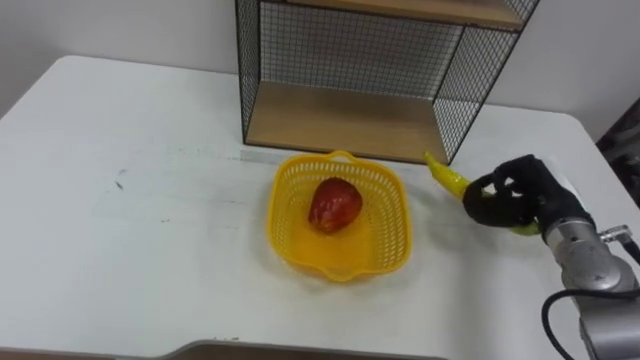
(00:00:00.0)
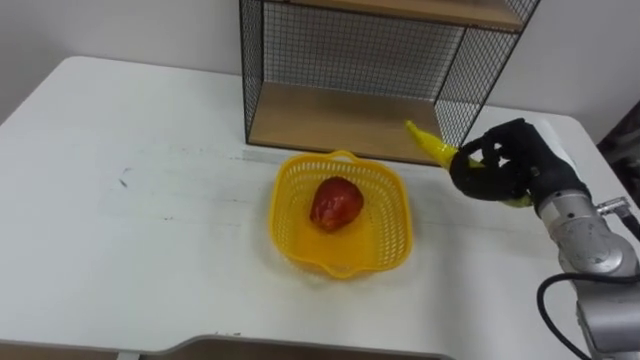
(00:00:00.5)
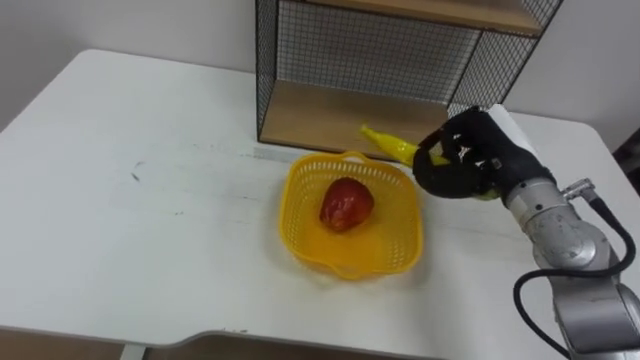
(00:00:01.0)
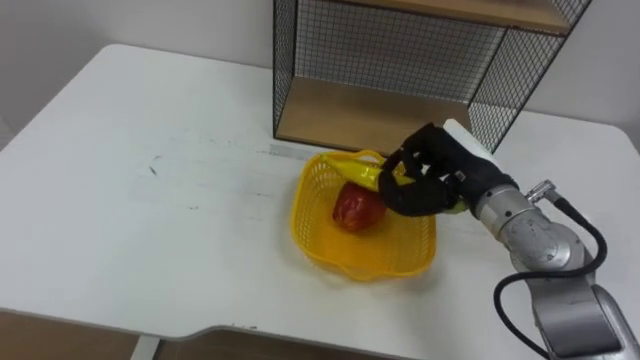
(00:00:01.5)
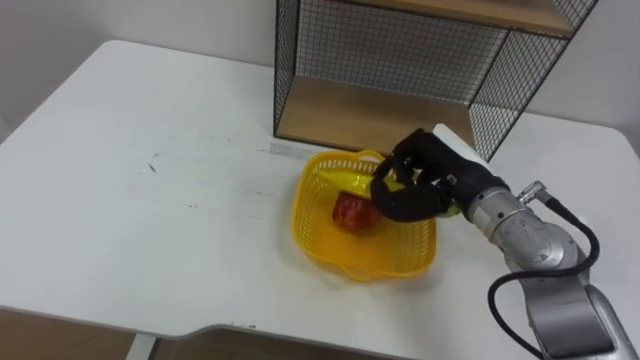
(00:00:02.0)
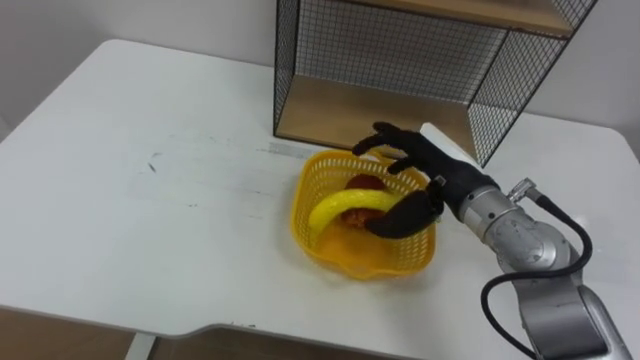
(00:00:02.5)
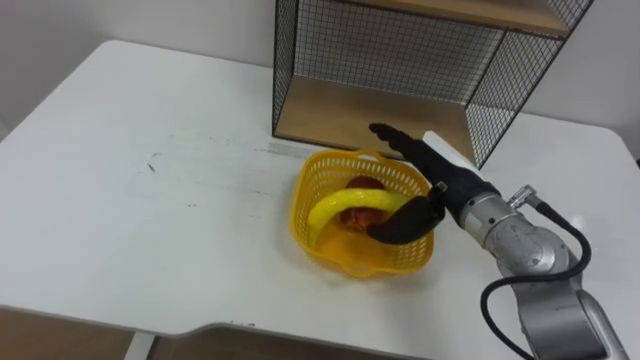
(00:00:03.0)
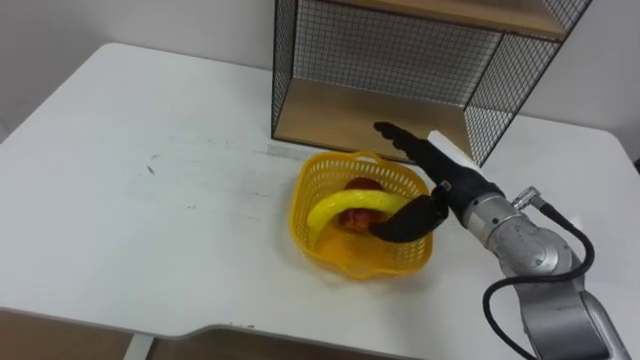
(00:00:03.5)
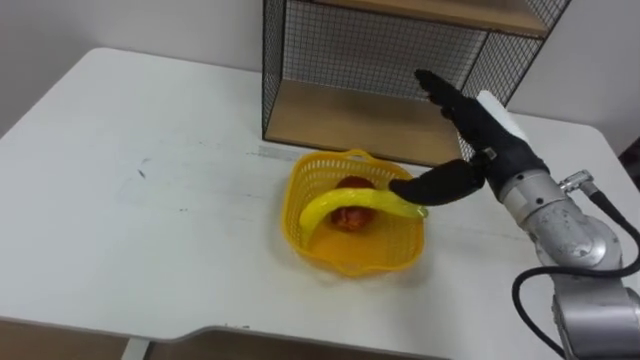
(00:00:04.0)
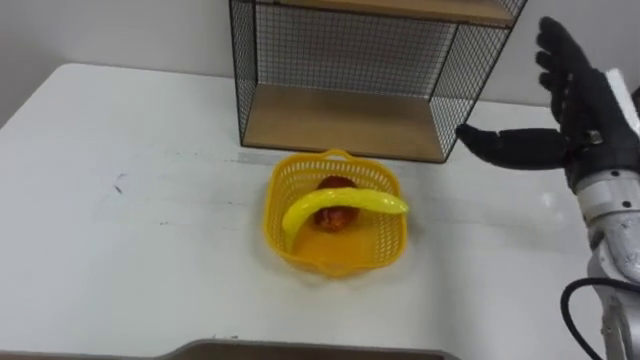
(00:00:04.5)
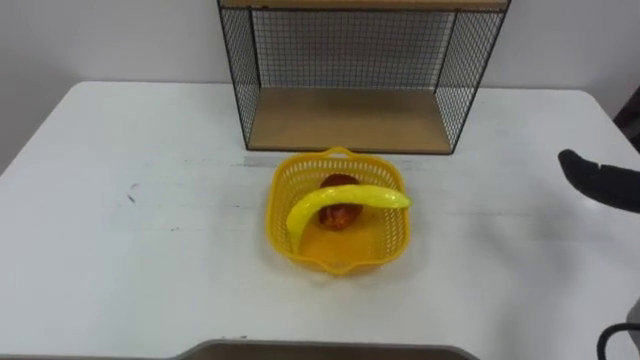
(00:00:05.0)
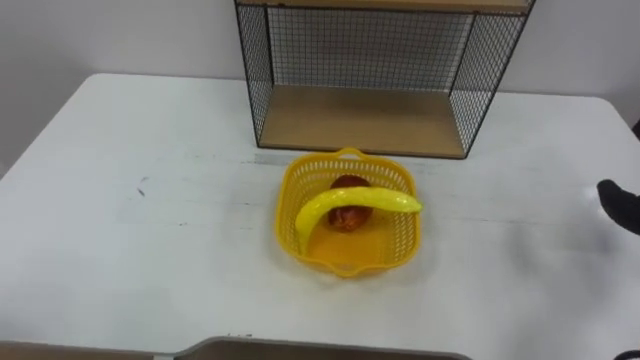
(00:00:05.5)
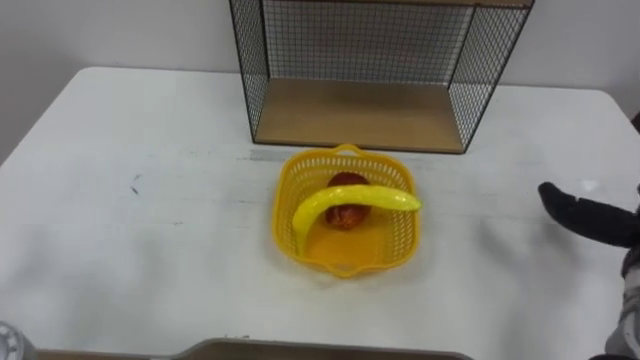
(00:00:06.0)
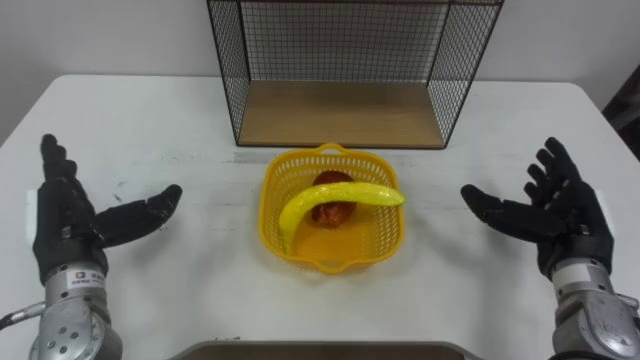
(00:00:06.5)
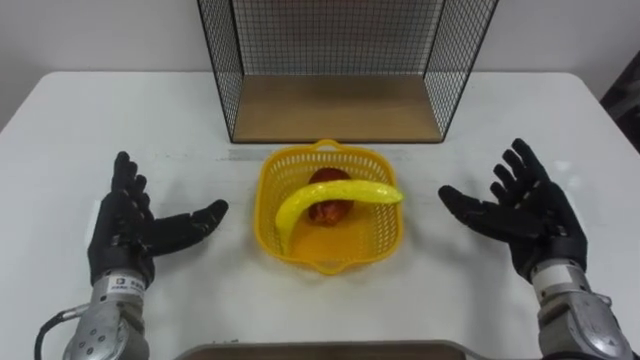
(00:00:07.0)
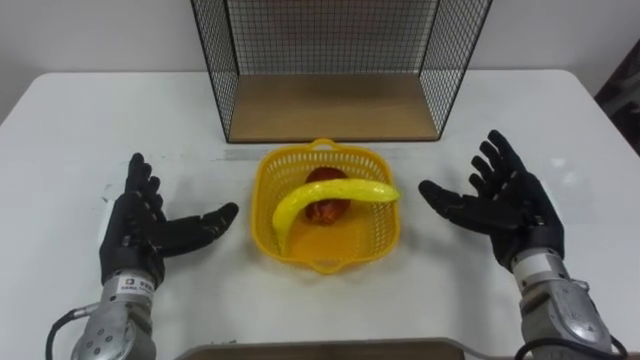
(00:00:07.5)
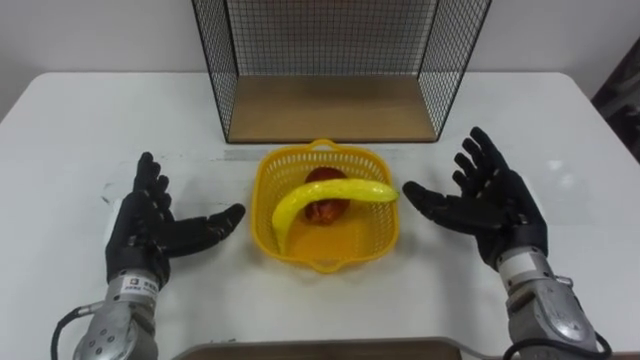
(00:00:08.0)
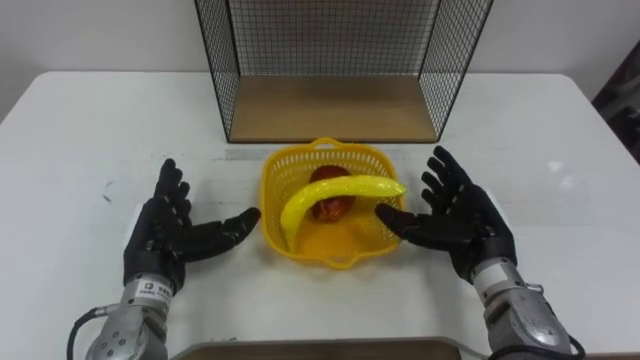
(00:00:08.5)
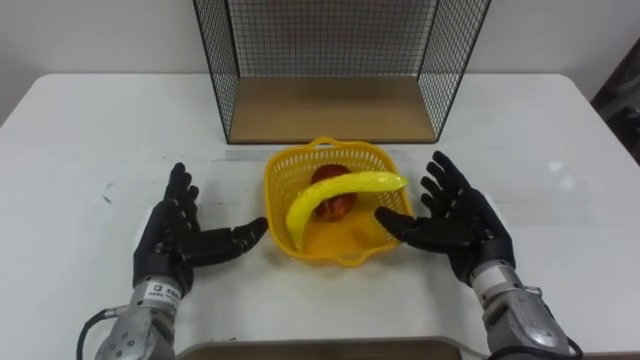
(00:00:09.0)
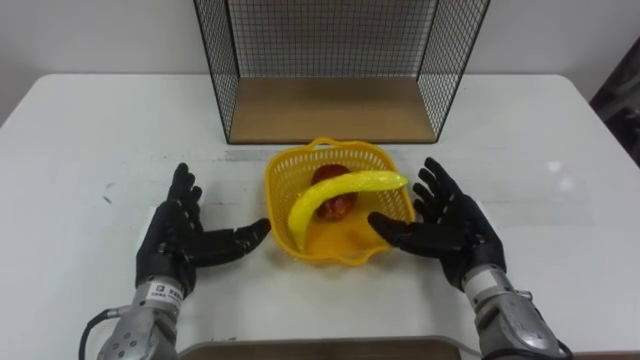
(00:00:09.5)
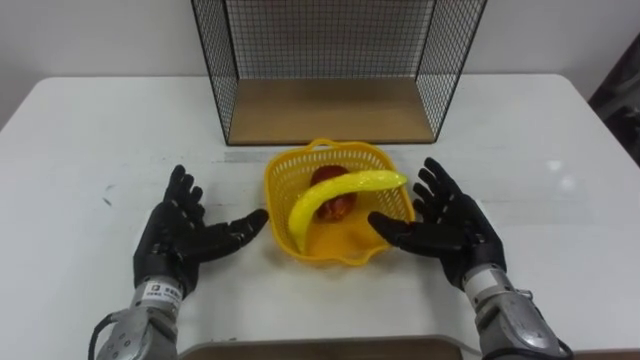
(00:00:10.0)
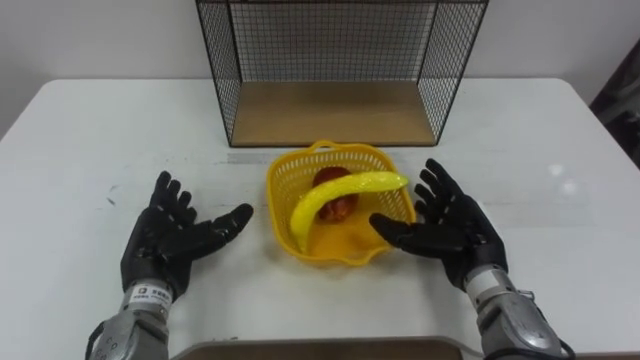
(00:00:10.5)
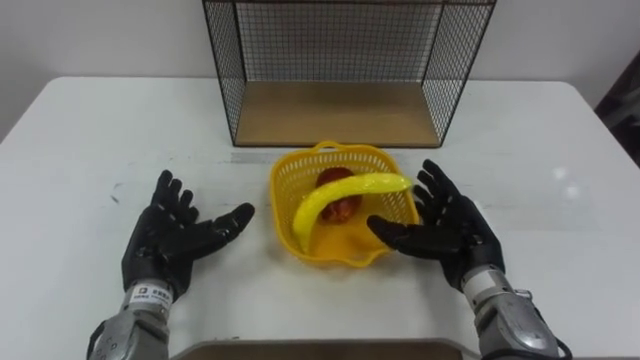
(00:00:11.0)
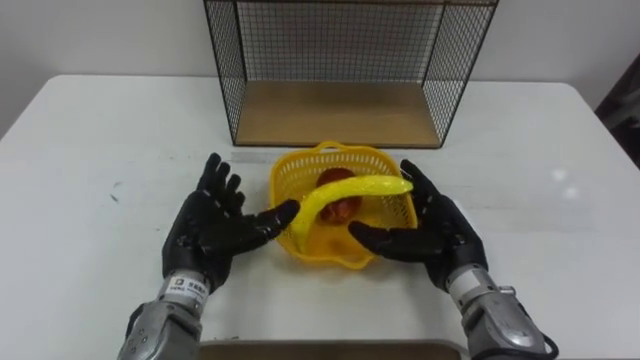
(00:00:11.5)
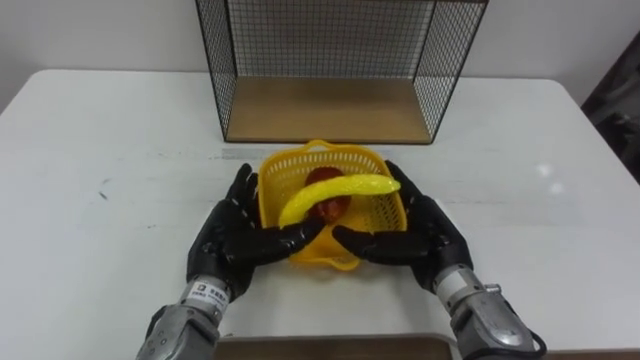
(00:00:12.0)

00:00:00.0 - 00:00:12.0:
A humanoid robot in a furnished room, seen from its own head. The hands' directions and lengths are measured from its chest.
Task of the whole recording: Put the fruit on the table into the basket, then place the basket on the shelf.
00:00:00.0 - 00:00:02.0: The right hand shifts approximately 15 cm to the left and upward.
00:00:02.0 - 00:00:04.0: The right hand changes place by roughly 5 cm, and opens.
00:00:08.0 - 00:00:10.0: The right hand ends up approximately 5 cm from where it was.
00:00:10.0 - 00:00:12.0: The left hand travels to the right by roughly 5 cm.

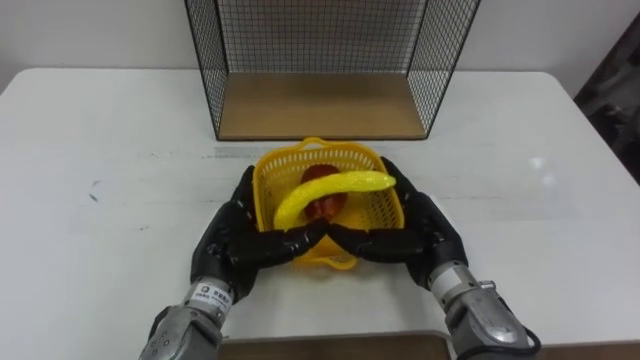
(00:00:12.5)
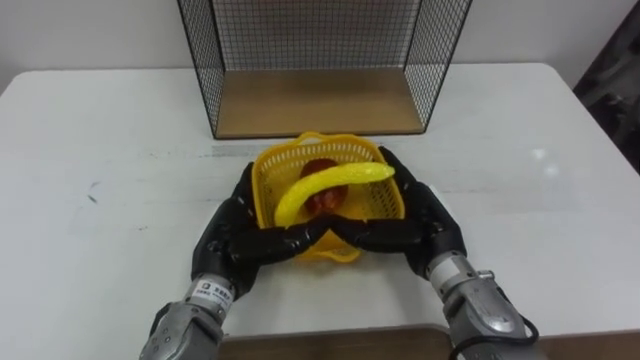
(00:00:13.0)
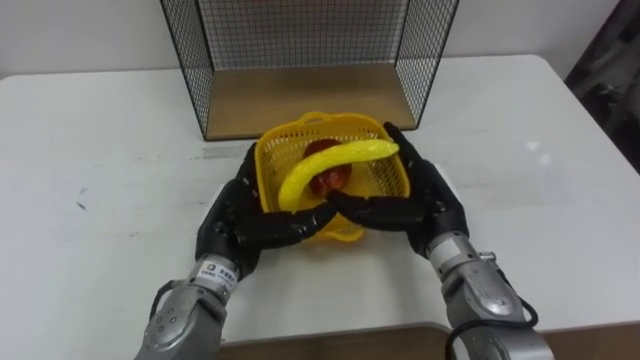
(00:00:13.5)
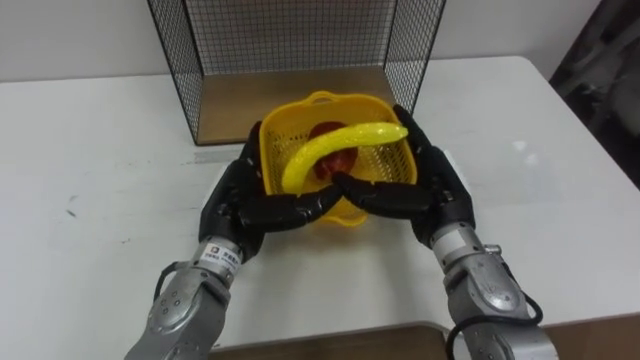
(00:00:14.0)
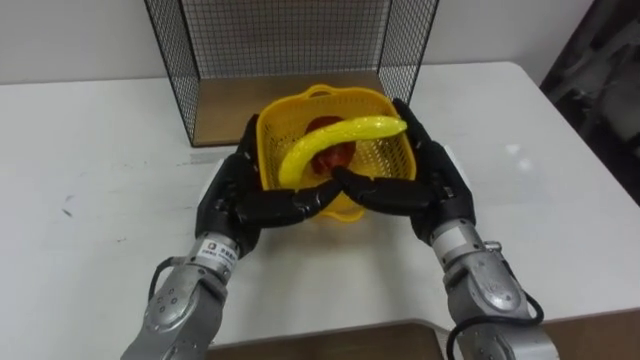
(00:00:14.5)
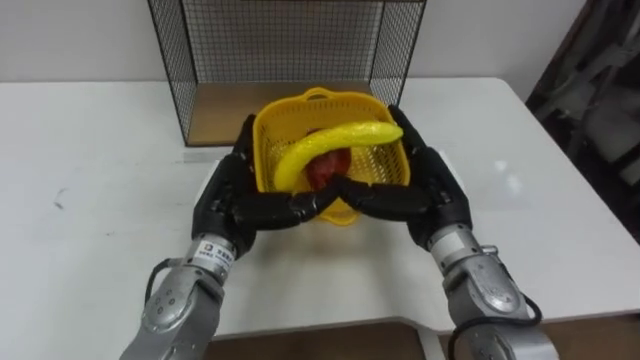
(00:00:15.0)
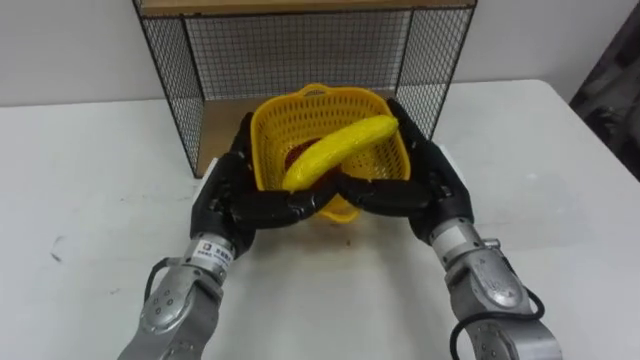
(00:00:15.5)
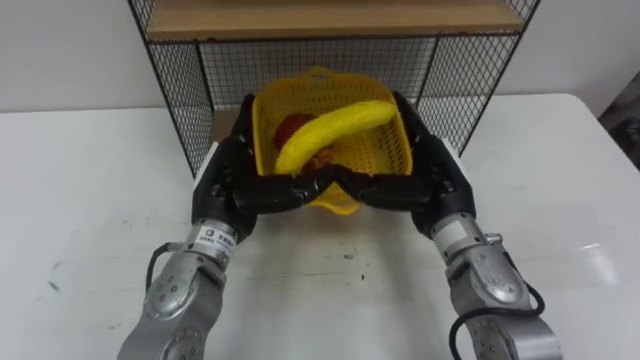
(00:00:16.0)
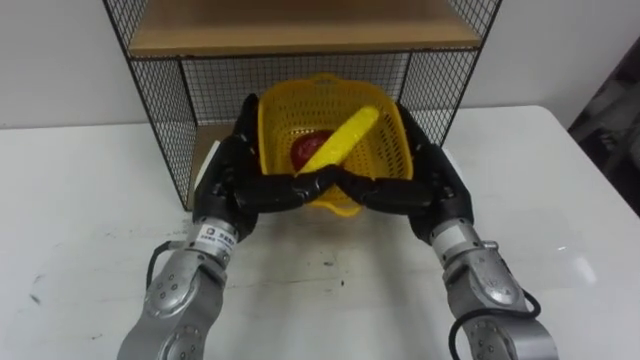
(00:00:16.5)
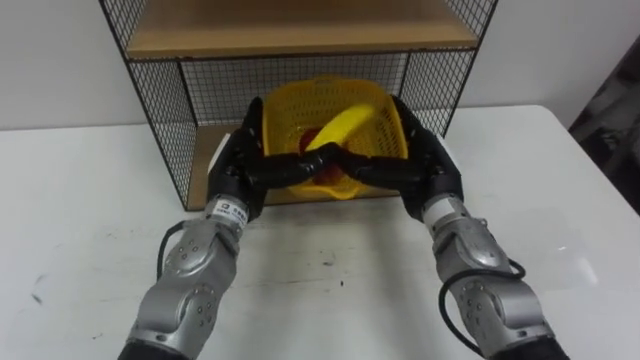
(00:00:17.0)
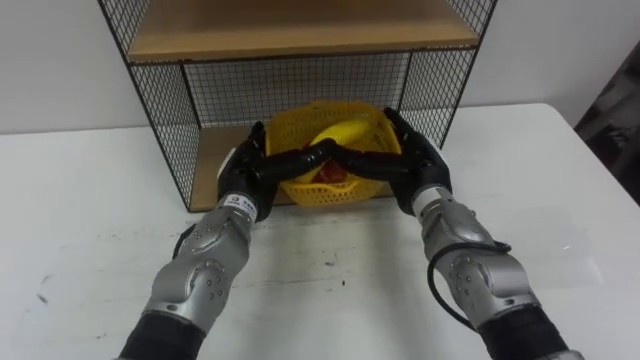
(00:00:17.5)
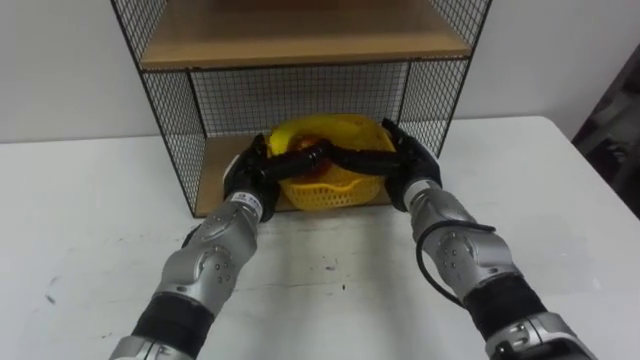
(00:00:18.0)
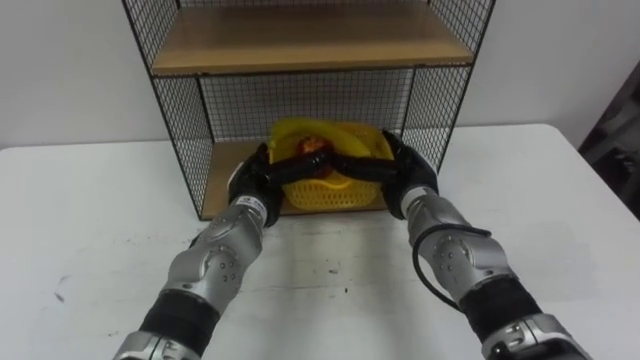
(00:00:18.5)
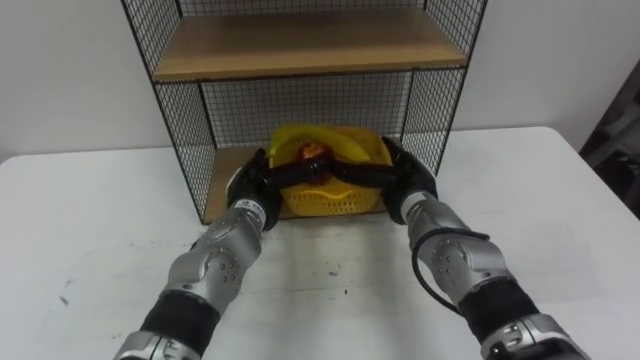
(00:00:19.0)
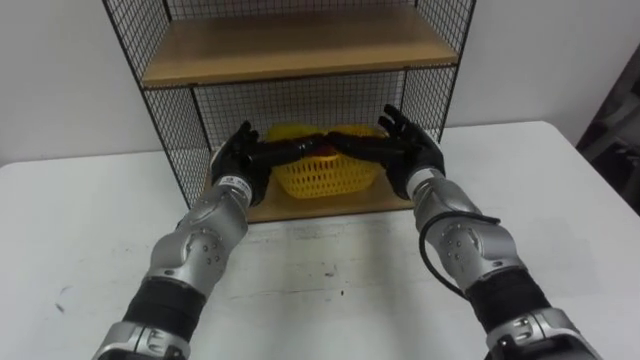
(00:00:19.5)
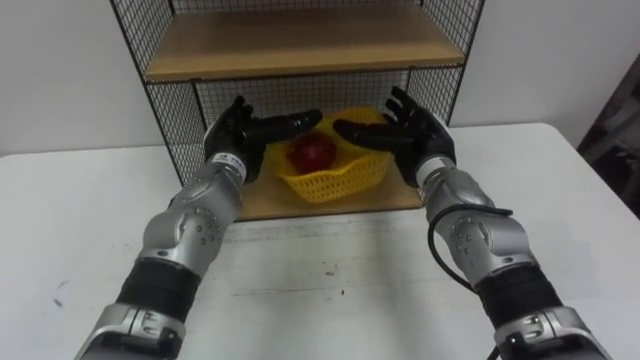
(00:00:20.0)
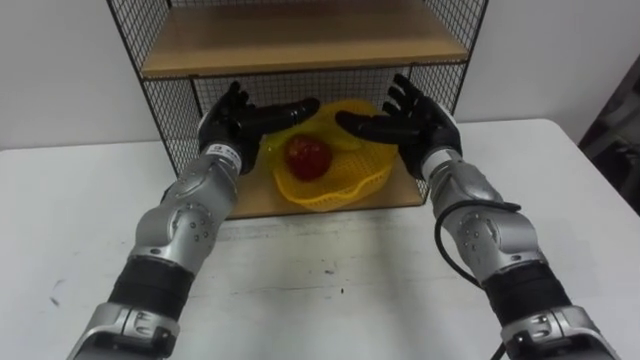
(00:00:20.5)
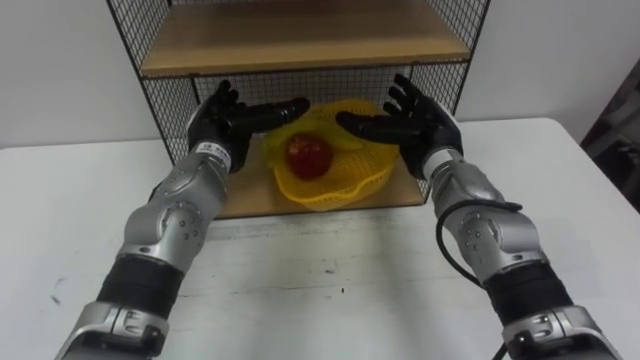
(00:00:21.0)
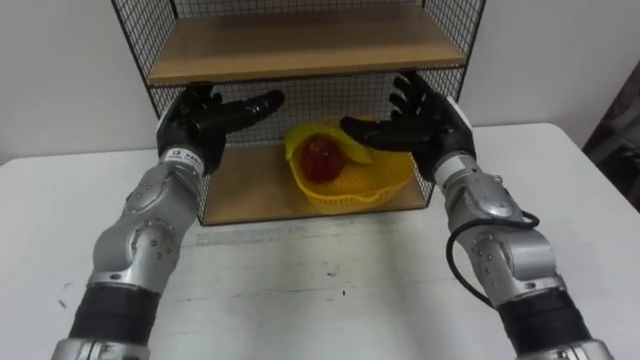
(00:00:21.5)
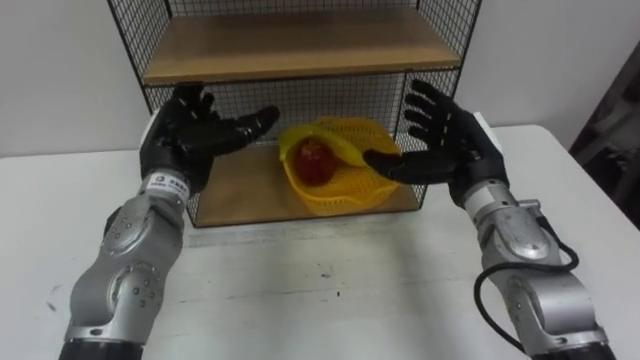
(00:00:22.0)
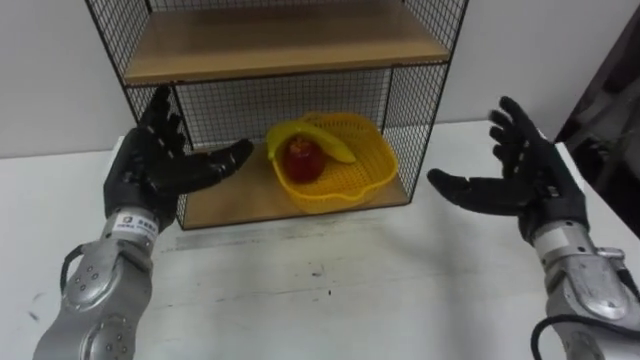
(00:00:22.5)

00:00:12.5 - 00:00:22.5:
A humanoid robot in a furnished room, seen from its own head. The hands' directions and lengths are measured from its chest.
Task of the whole recording: Put the fruit on the table into the basket, then place the basket on the shelf.
00:00:12.5 - 00:00:14.5: The right hand goes roughly 5 cm upward. The left hand changes place by approximately 5 cm.
00:00:16.5 - 00:00:18.5: The right hand shifts some 10 cm forward and downward. The left hand moves downward and forward, about 10 cm.
00:00:18.5 - 00:00:20.5: The two hands go roughly 5 cm upward.
00:00:20.5 - 00:00:22.5: The right hand goes approximately 15 cm to the right and backward. The left hand travels to the left and backward by some 15 cm.
